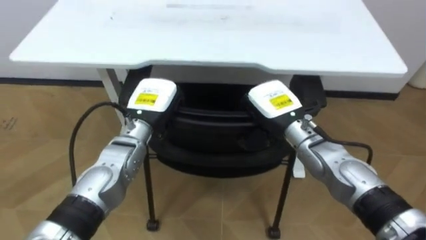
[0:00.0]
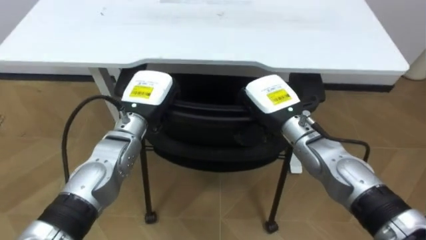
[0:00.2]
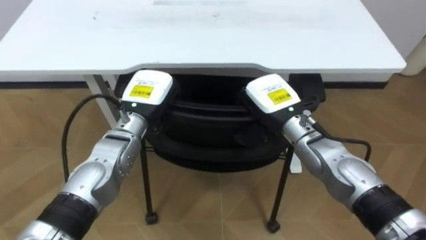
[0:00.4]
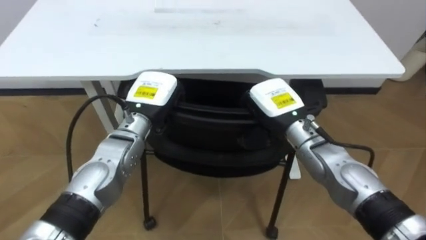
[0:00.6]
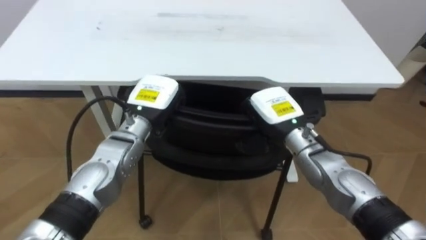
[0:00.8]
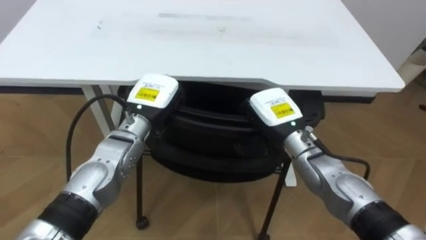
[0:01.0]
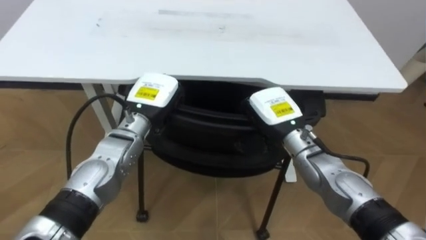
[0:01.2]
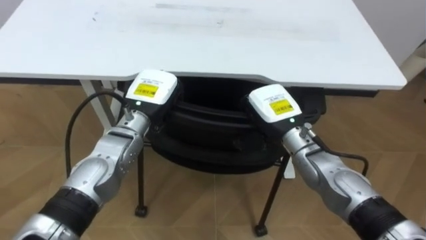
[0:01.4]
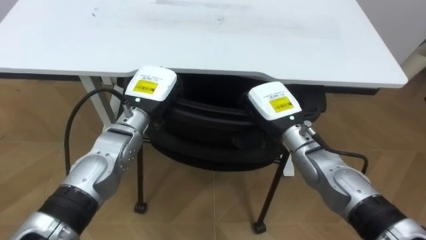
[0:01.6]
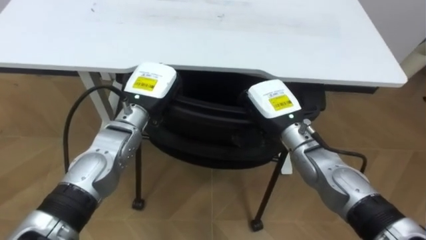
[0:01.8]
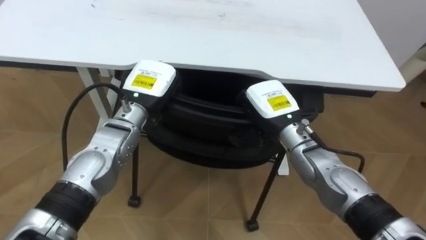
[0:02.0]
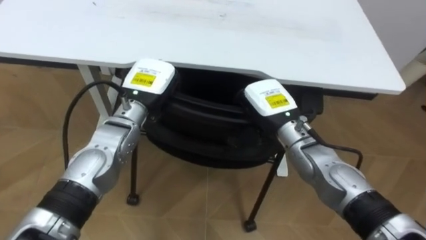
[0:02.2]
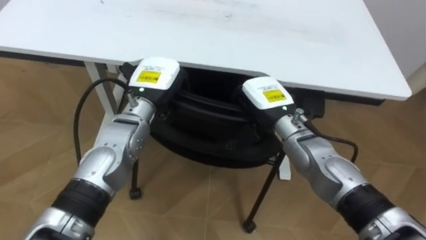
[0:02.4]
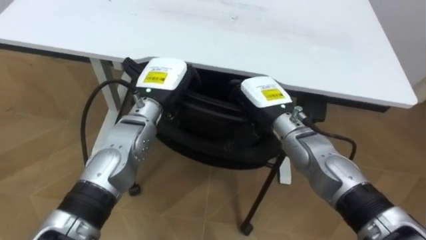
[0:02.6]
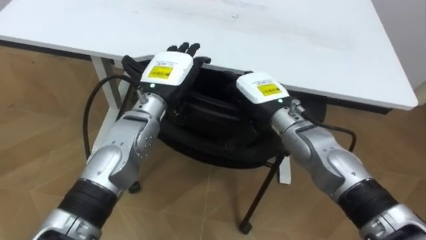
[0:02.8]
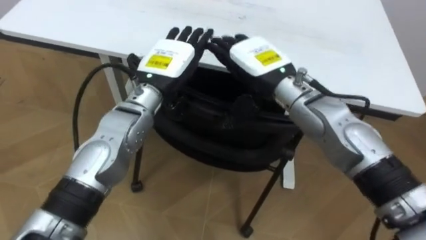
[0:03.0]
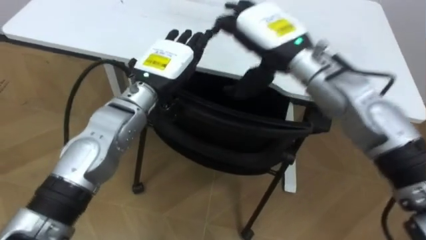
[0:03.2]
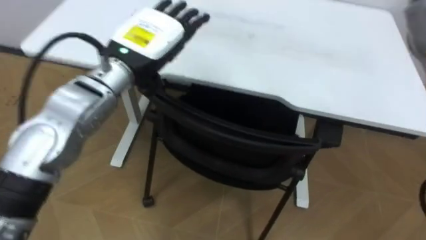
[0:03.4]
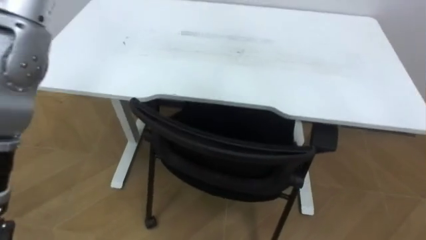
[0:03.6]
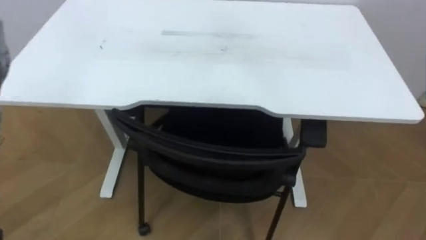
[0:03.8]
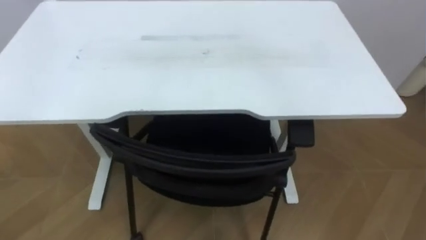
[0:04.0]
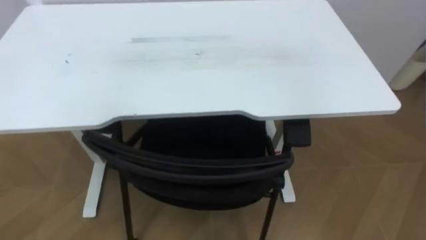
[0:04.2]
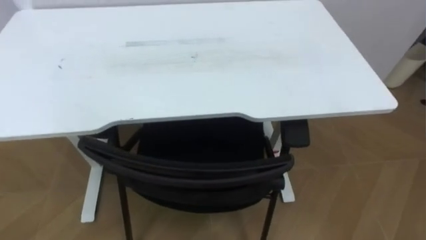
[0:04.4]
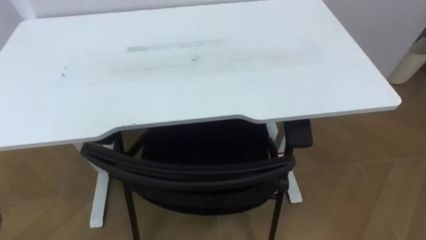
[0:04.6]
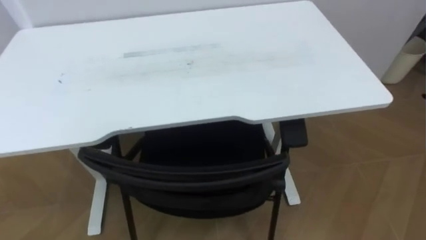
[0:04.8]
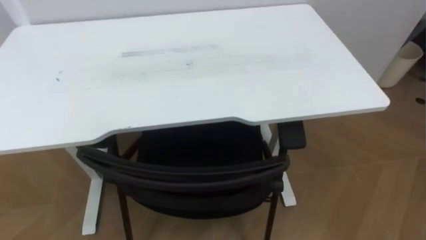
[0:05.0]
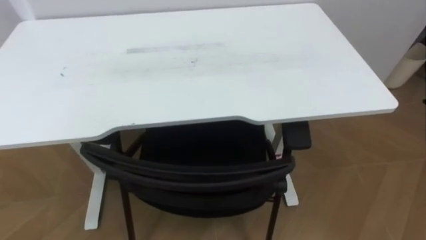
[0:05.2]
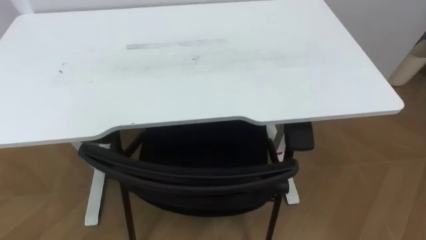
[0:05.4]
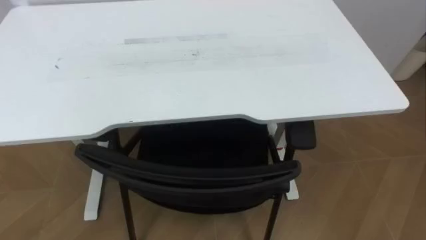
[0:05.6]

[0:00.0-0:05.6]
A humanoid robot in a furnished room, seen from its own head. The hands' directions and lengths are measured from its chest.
Task of the whole recording: Push the chair under the table.
0:01.4 to 0:02.8: The right hand opens its fingers, while the left hand opens up.

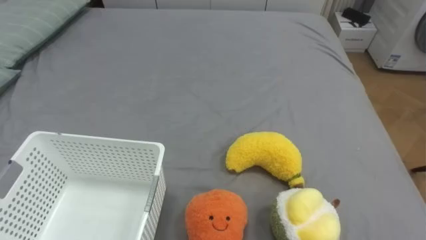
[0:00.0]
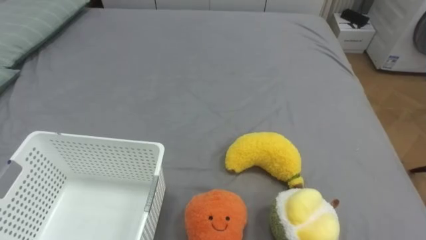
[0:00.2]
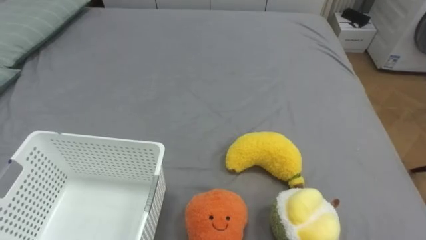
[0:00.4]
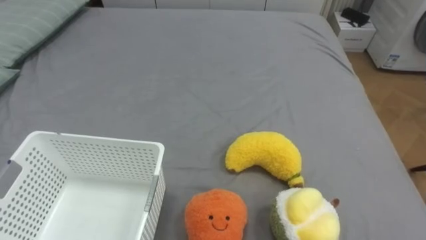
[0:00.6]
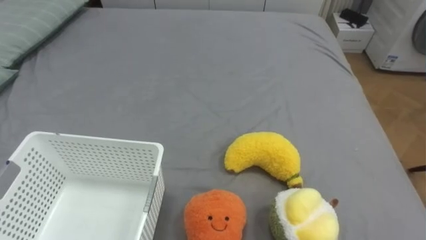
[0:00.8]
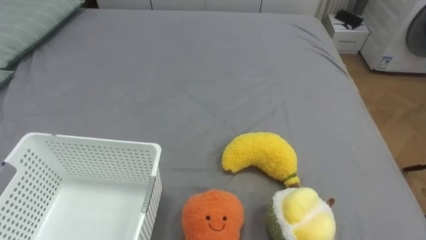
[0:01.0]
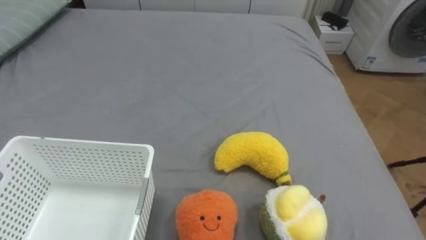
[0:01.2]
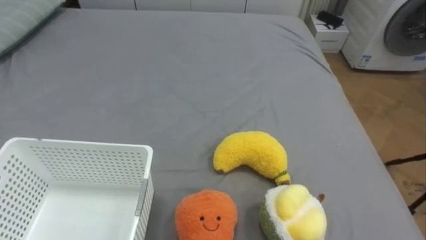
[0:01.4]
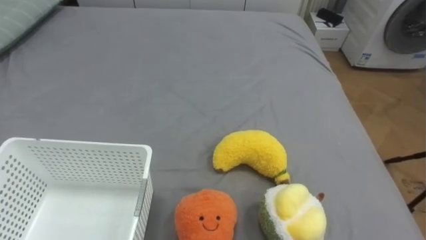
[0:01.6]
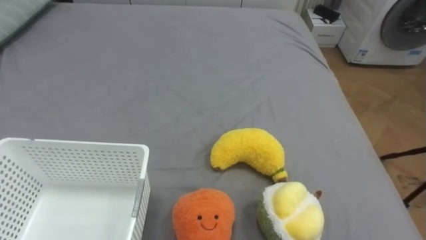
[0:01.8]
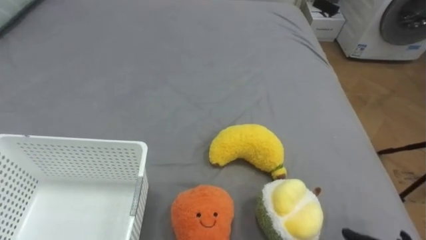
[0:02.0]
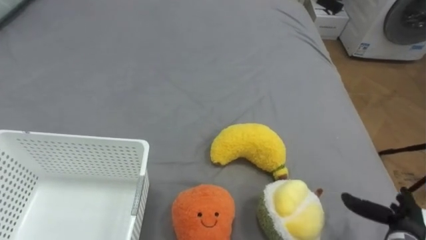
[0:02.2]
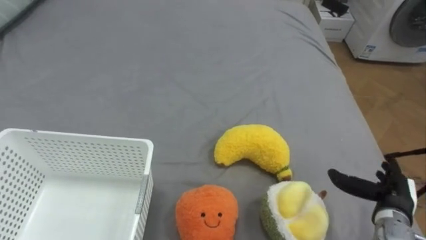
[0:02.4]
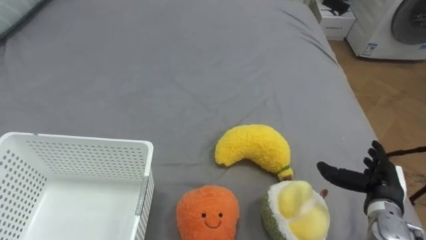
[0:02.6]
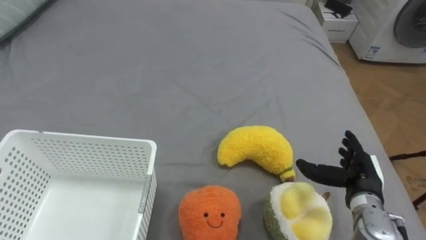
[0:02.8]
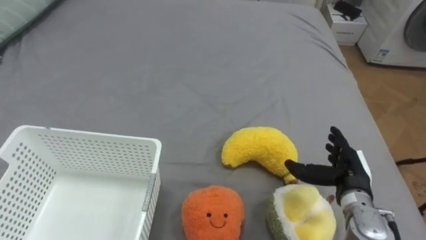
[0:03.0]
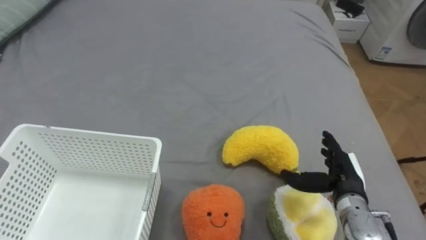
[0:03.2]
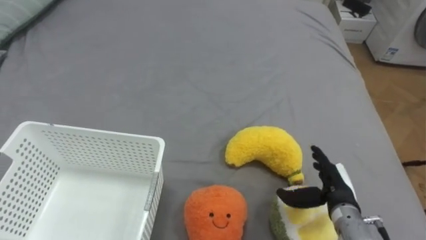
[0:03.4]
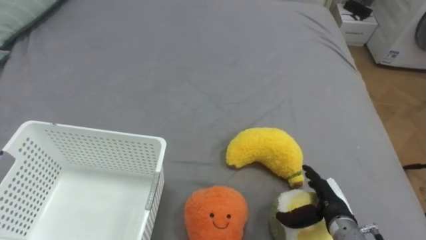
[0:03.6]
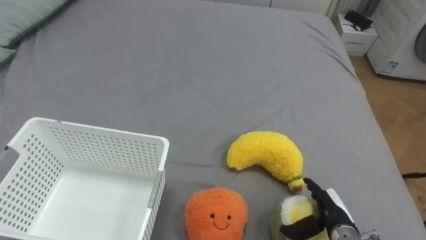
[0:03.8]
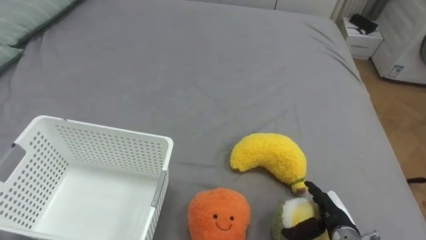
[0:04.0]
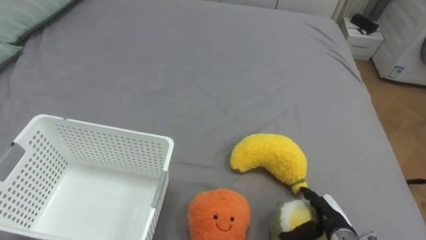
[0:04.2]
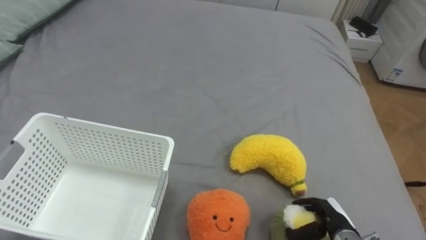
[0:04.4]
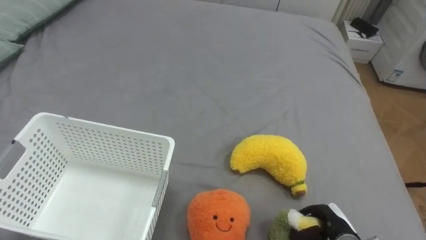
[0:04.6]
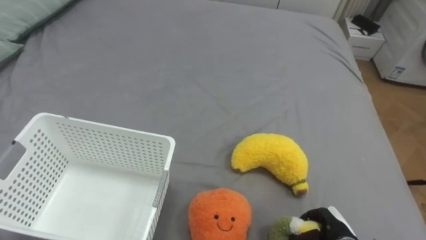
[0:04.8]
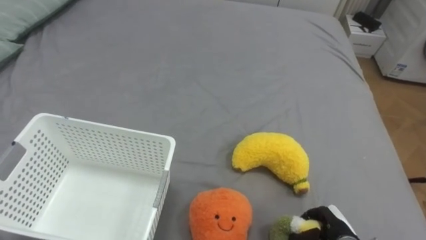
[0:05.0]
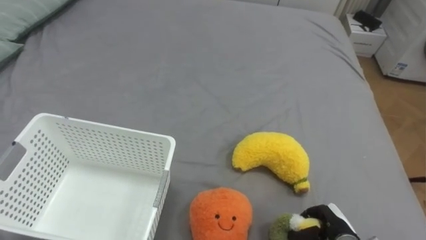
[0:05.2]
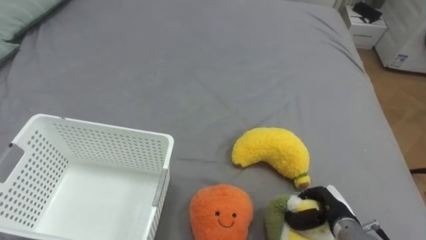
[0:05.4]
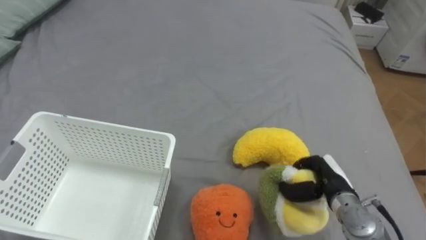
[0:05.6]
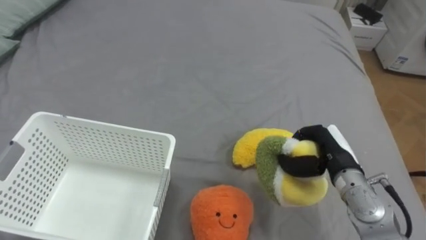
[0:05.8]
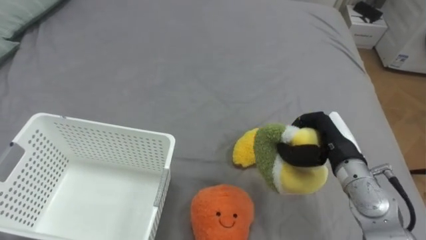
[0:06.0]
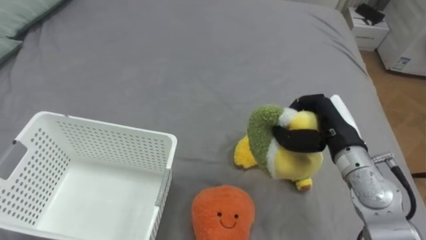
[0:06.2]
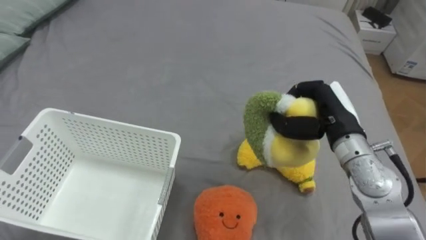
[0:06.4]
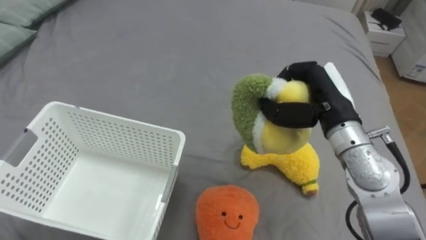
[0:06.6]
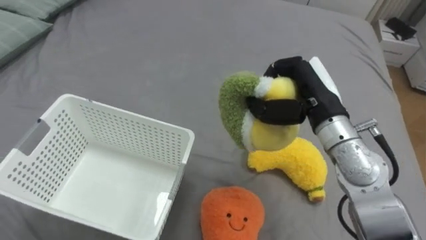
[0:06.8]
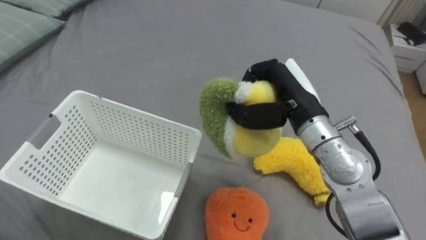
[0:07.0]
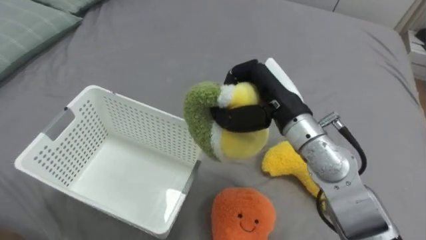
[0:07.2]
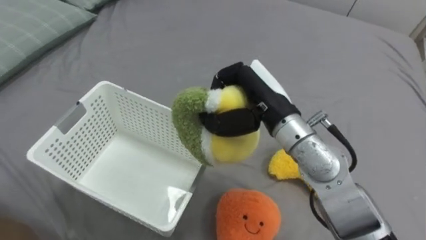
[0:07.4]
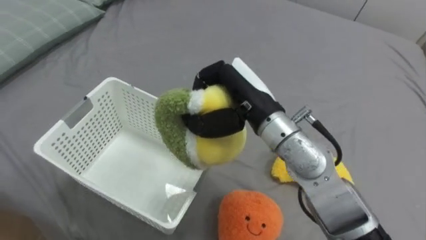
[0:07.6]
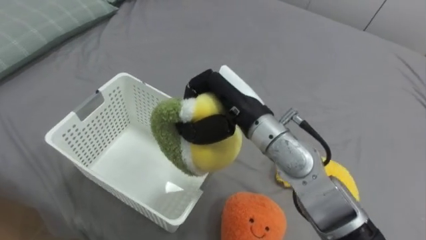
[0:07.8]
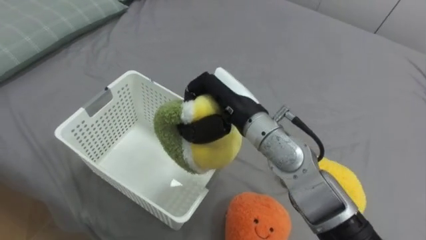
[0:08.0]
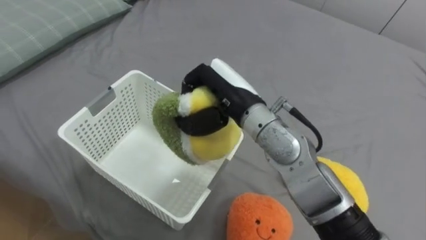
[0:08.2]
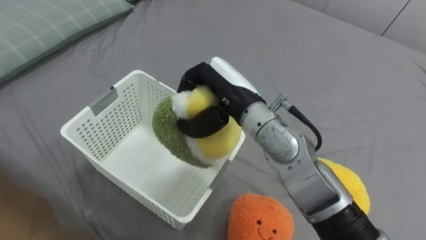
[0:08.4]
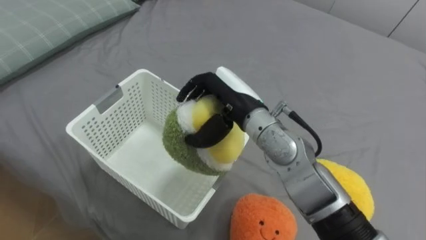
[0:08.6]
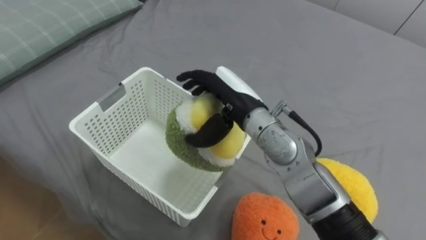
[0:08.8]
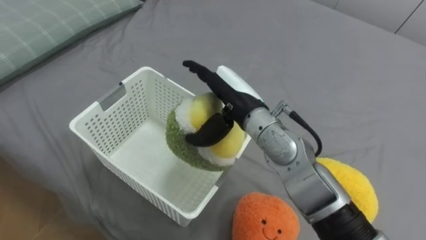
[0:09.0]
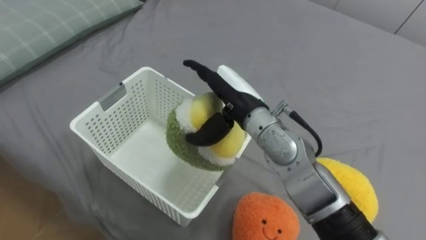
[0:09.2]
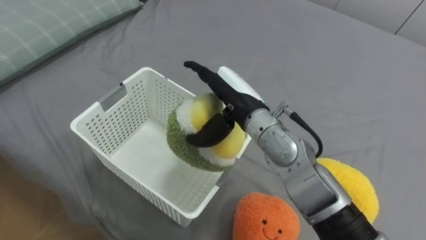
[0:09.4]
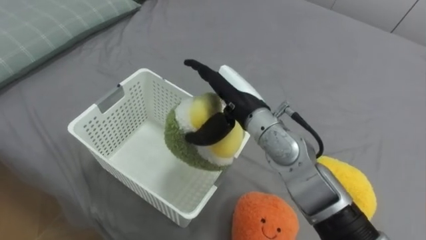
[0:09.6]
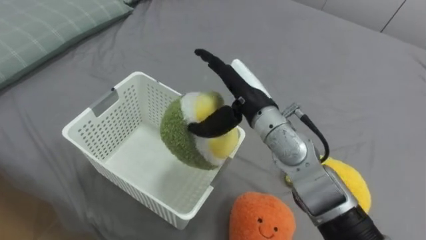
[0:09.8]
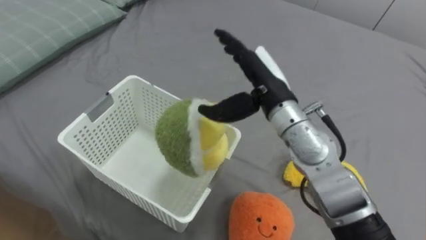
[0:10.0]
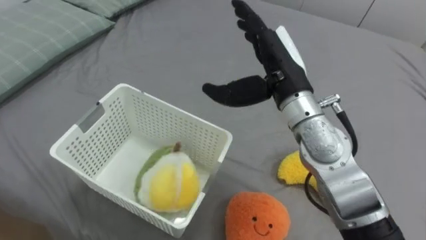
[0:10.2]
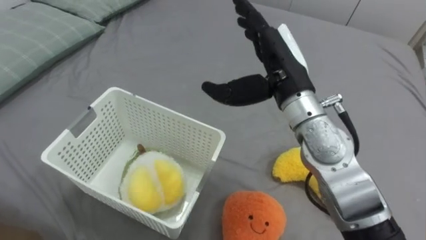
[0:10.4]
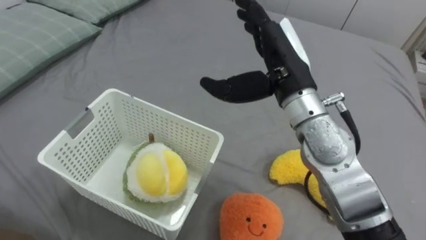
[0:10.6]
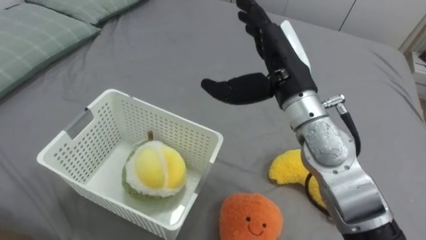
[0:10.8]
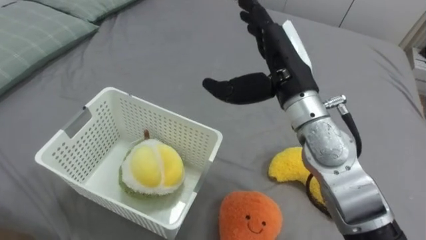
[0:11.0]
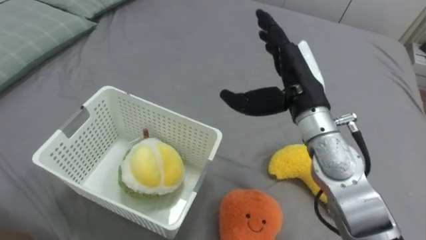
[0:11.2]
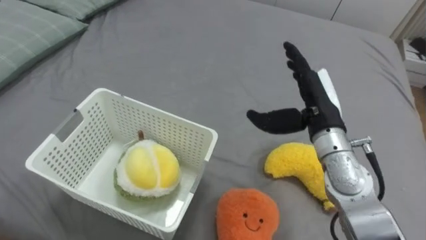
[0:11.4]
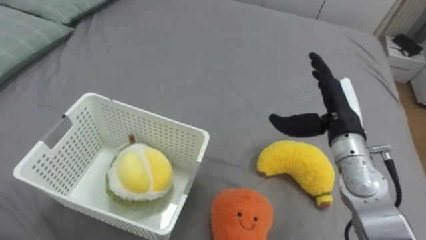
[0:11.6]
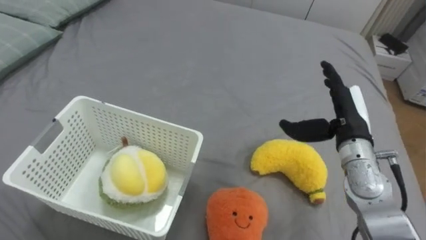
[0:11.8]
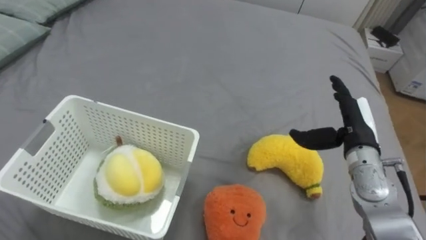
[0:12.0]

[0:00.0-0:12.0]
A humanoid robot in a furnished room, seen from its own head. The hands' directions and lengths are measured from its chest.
Task of the whole recording: Put the toys on the bed into the basket on the left.
0:03.0 to 0:04.4: The right hand goes approximately 15 cm downward and backward.
0:04.4 to 0:06.0: The right hand moves upward and forward, roughly 20 cm, and closes up.
0:06.0 to 0:07.6: The right hand travels to the left and upward by some 20 cm.
0:07.6 to 0:09.0: The right hand opens.
0:09.0 to 0:10.4: The right hand is displaced to the right and upward by some 10 cm.
0:10.4 to 0:12.0: The right hand travels to the right and downward by approximately 20 cm.
